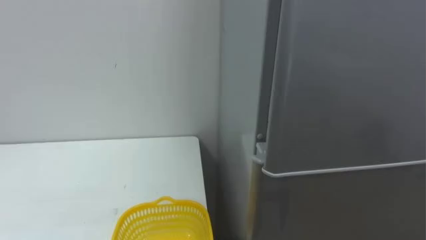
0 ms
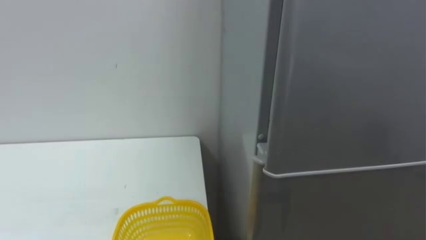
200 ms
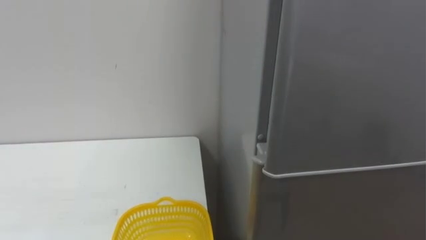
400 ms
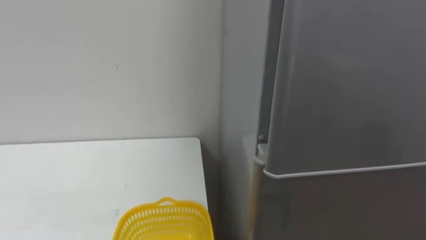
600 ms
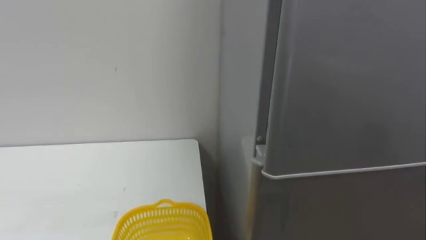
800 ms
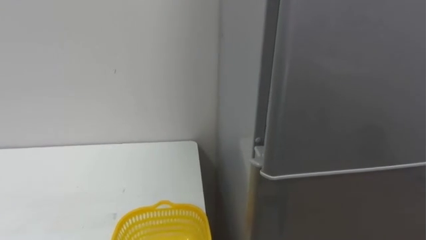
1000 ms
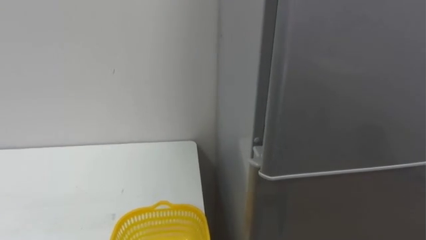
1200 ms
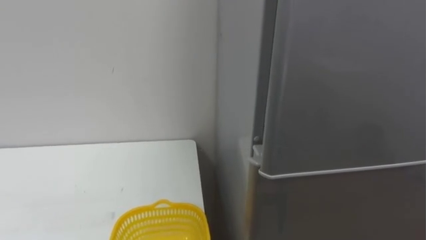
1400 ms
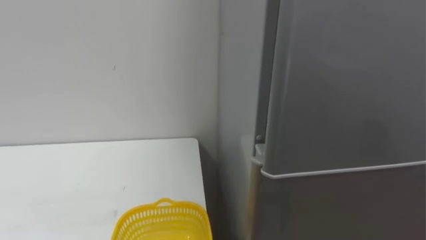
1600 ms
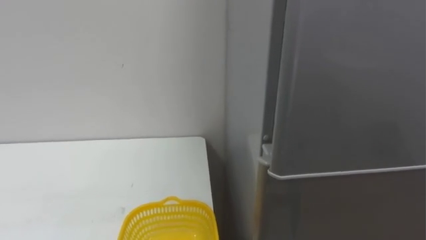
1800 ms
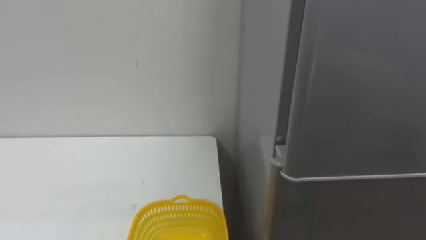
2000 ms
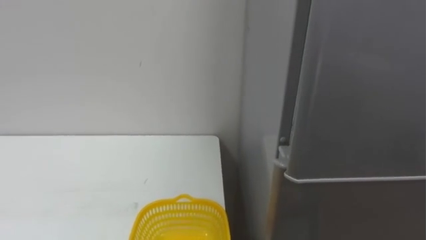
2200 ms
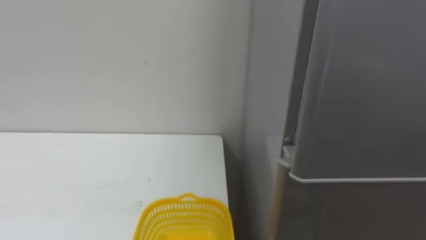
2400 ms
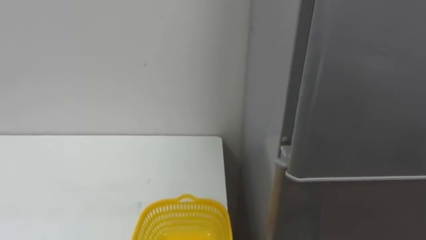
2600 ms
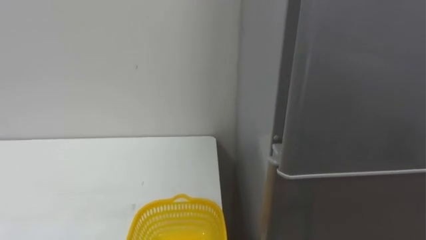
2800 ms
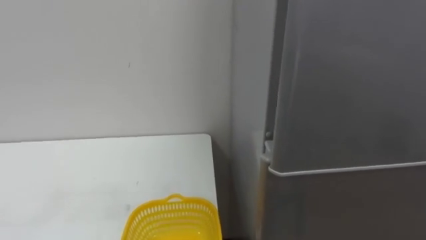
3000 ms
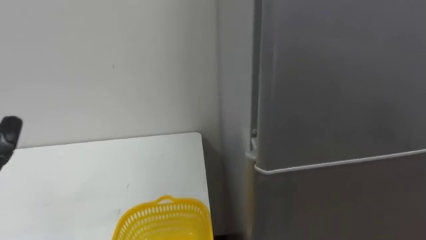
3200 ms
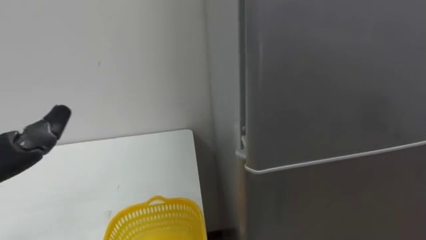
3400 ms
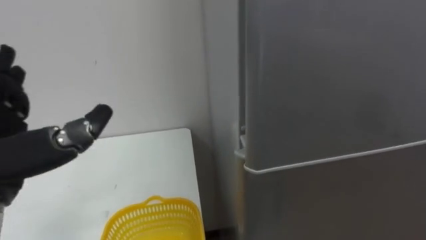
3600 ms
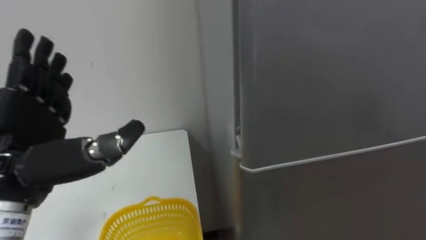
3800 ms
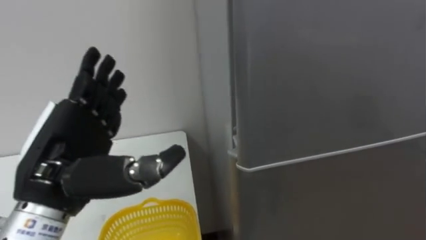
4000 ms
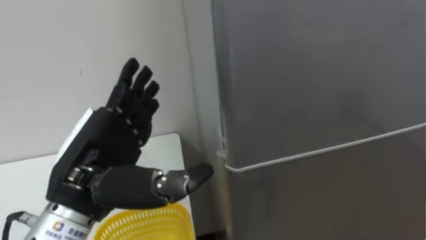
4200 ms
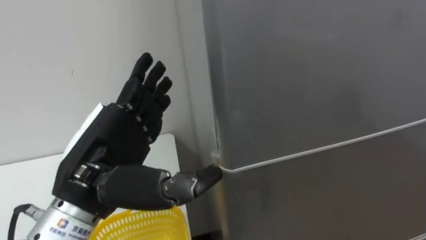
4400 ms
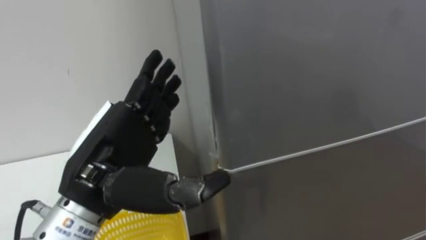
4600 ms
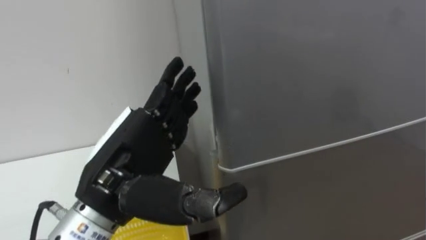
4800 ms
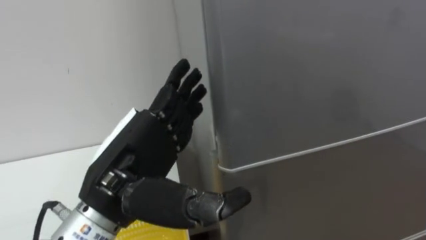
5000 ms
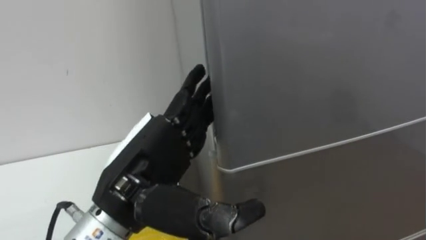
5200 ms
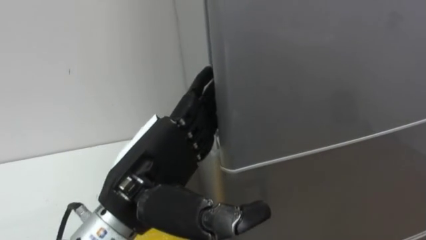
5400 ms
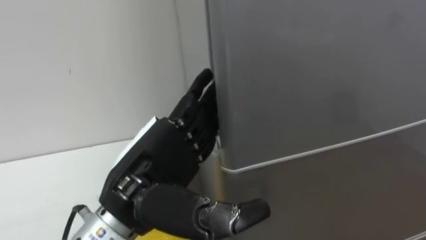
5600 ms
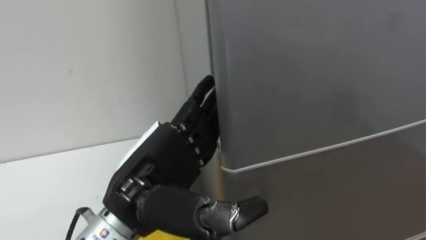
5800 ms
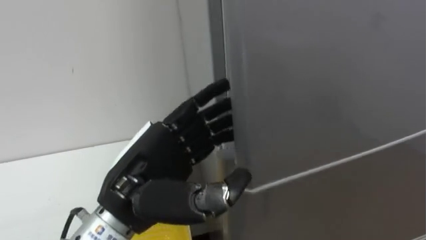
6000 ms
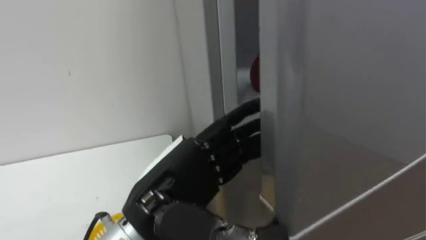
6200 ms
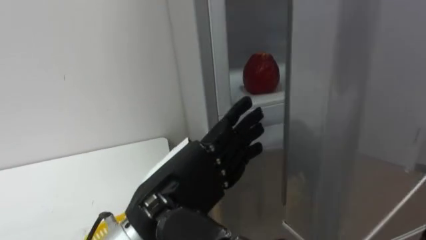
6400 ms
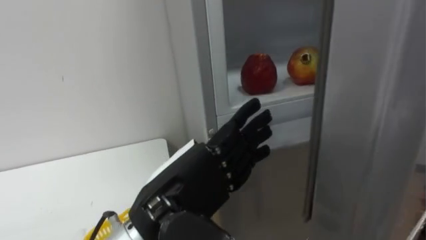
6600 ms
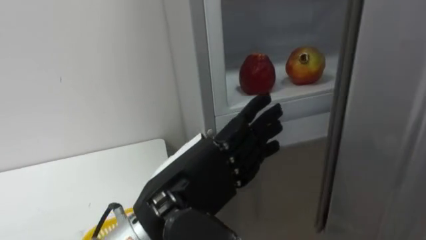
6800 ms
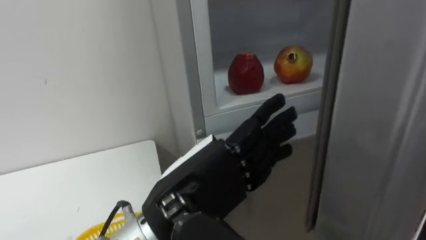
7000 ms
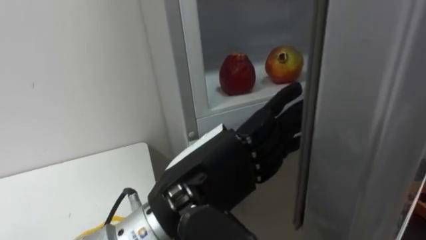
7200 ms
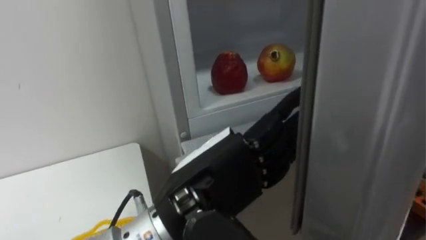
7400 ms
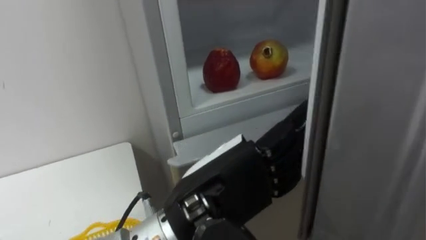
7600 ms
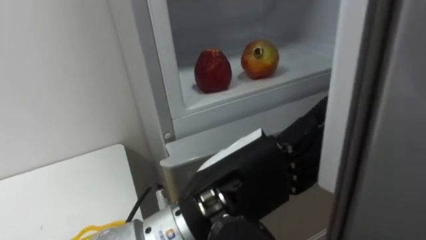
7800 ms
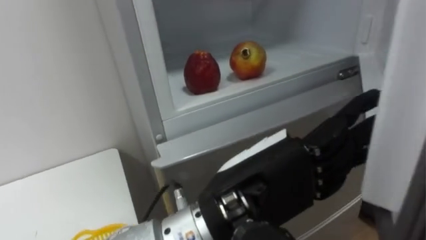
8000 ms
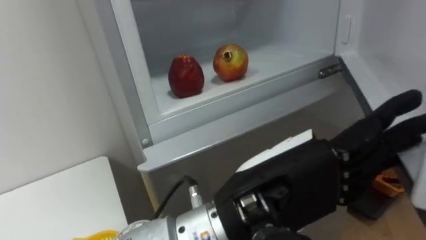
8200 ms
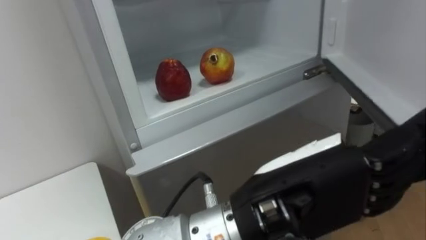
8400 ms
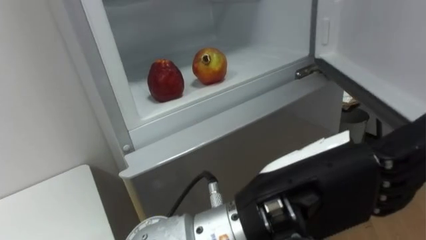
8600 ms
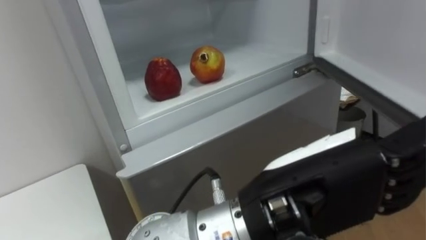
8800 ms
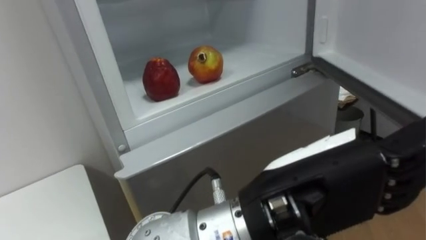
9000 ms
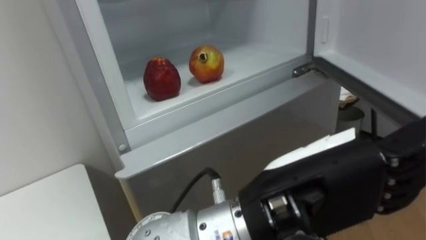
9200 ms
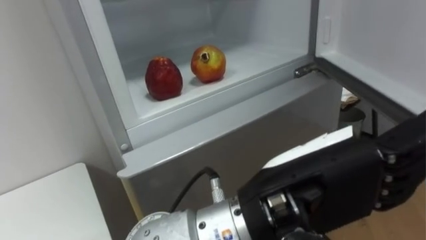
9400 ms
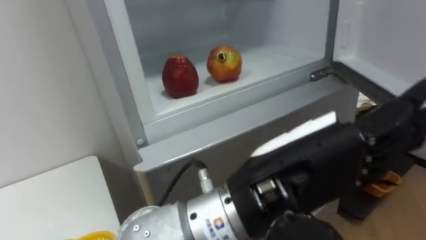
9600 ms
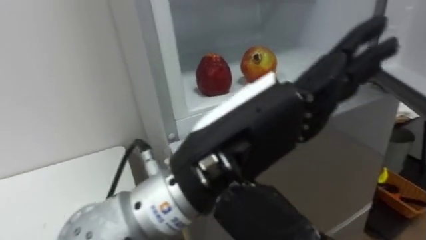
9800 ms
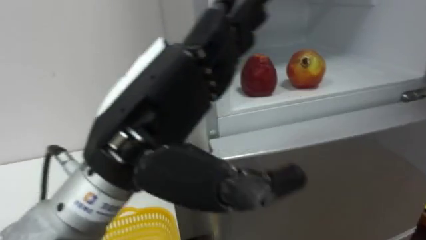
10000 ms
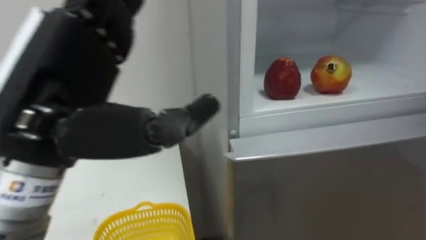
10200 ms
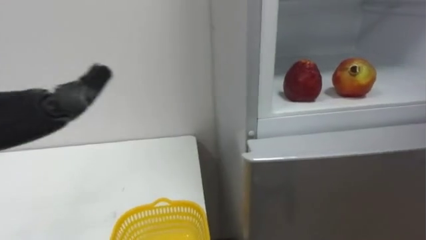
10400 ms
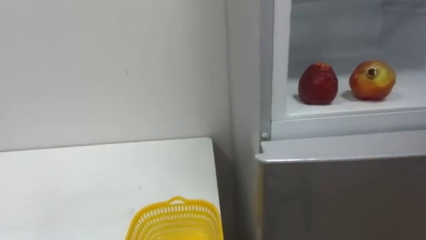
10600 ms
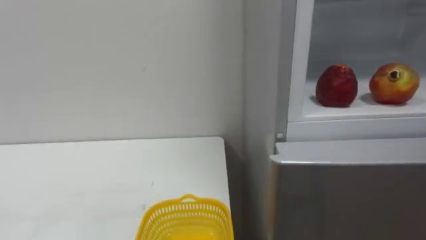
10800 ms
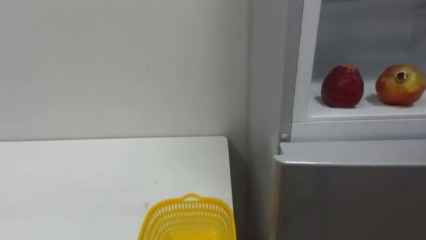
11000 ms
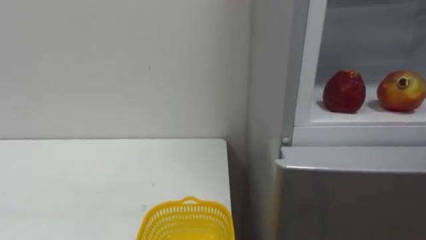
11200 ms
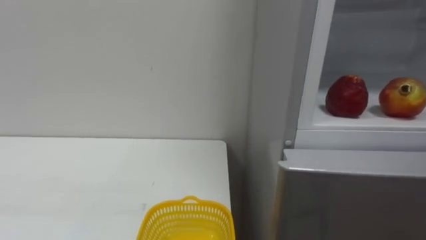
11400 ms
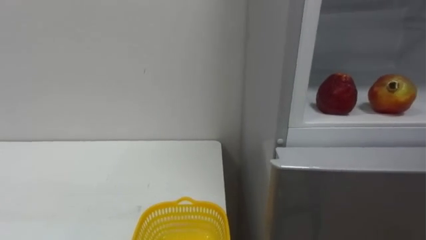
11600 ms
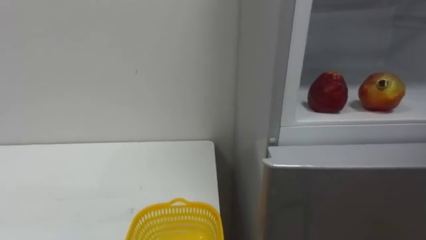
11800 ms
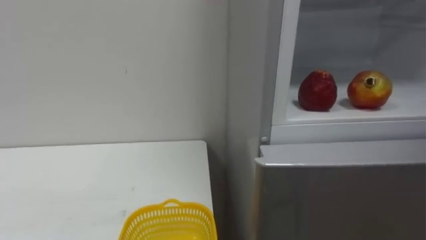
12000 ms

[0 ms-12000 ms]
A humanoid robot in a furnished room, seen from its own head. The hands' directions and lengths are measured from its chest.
Task of the whole recording: Open the refrigerator door, take out the apple and the pomegranate, place them in the fruit basket on the left, and close the refrigerator door.
4400 ms to 6000 ms: The left hand changes place by some 5 cm.
6000 ms to 7600 ms: The left hand heads to the right, covering approximately 10 cm.
7600 ms to 9000 ms: The left hand is displaced to the right by roughly 5 cm.

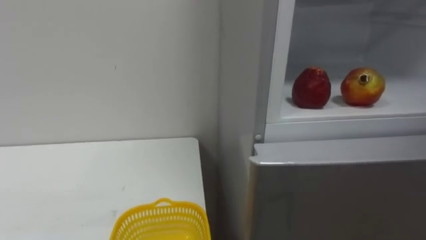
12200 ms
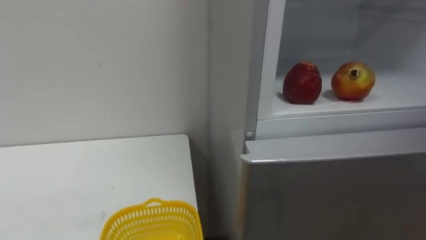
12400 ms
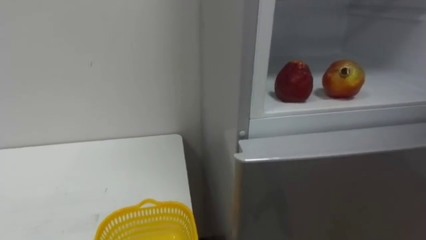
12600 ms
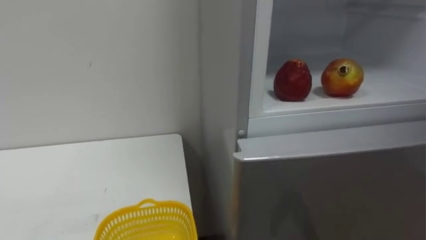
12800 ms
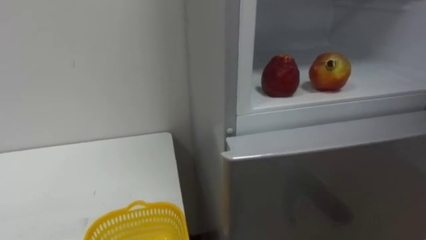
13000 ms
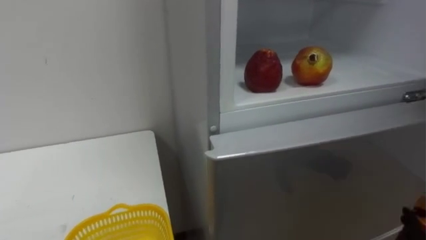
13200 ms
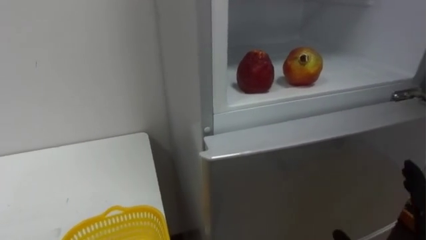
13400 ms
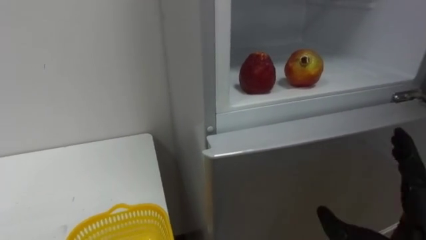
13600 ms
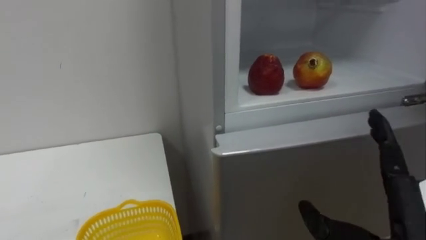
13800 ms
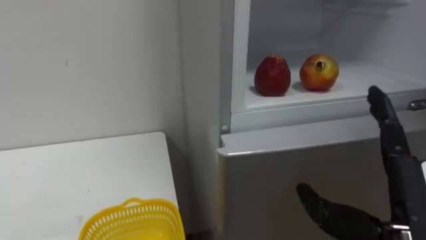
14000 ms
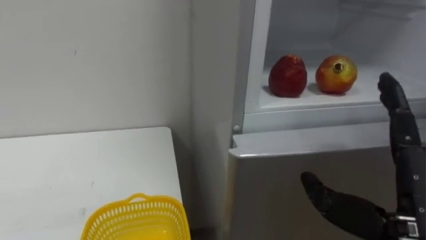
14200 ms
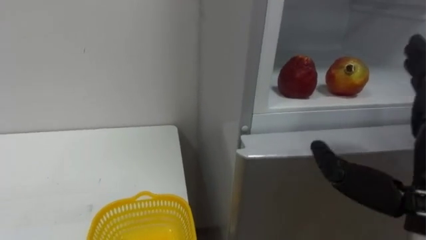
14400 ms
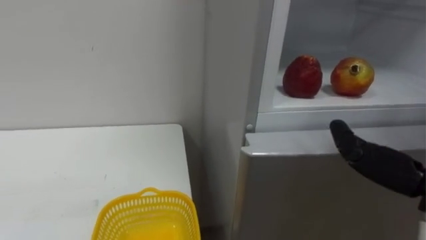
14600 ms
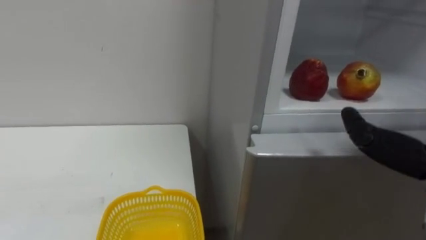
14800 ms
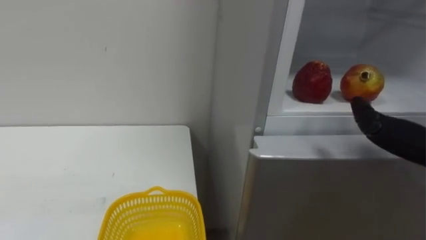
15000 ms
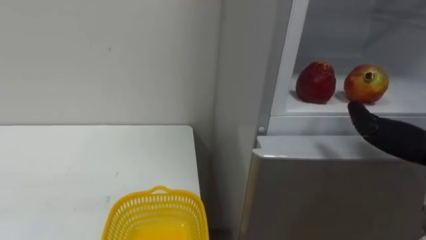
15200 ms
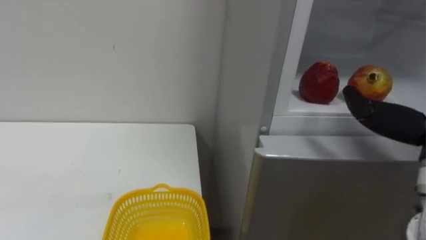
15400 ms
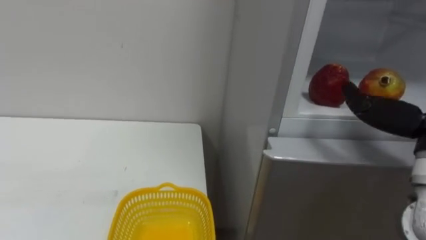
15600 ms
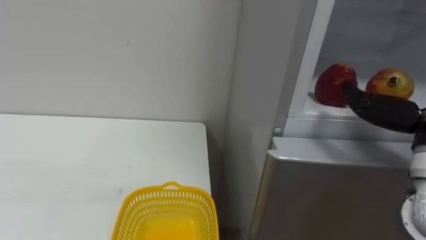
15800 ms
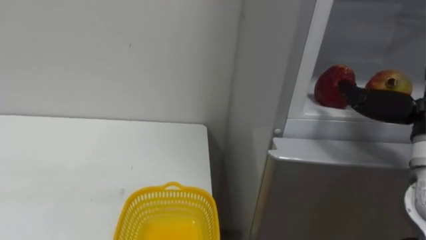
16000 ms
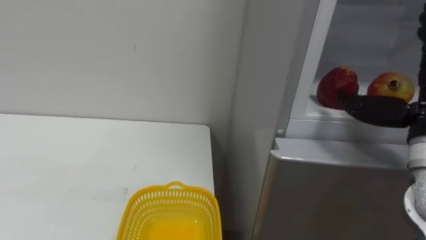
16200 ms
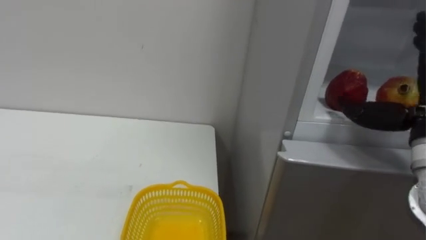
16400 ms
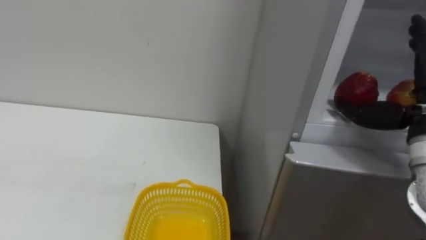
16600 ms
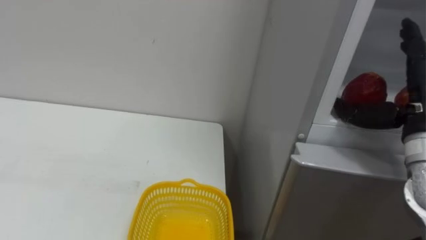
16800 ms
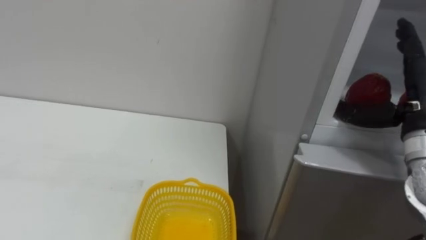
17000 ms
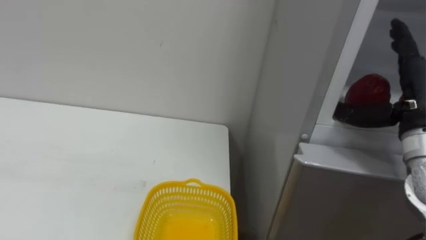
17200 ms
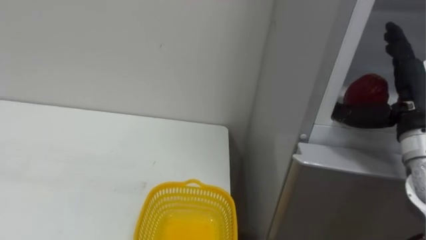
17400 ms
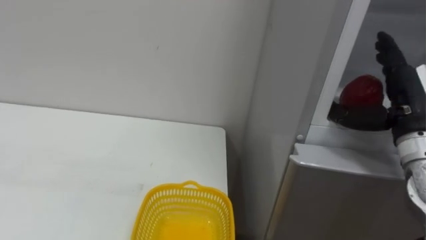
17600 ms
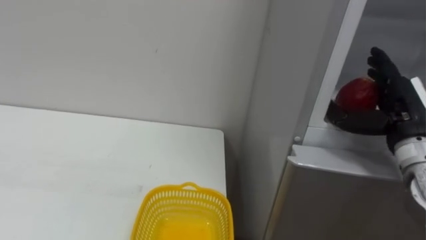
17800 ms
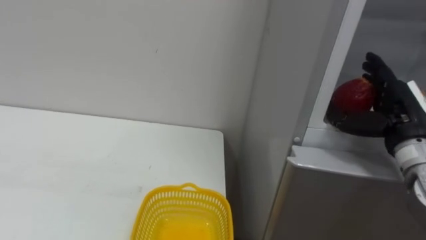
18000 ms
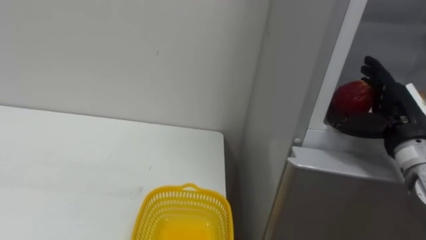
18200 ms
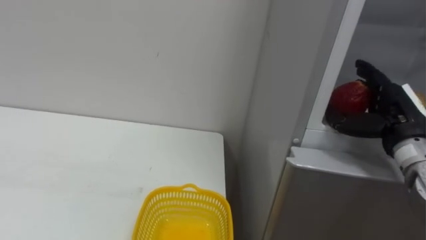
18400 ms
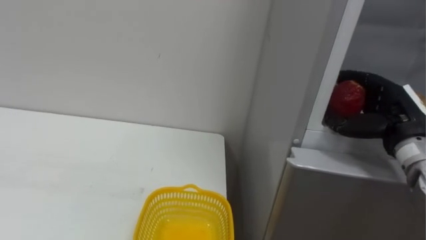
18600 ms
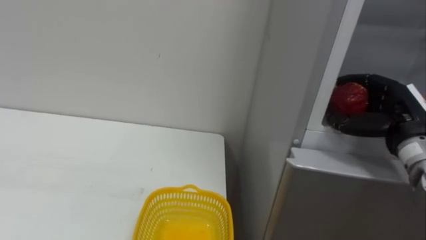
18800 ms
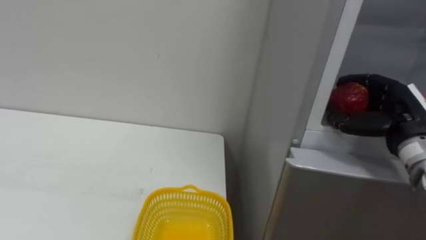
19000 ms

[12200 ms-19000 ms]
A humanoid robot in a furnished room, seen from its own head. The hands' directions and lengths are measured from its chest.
Task of the whole recording: Open the refrigerator door, take out the apple and the pomegranate, place them in the fruit basket on the left, and close the refrigerator door.
17600 ms to 19000 ms: The right hand closes up.
